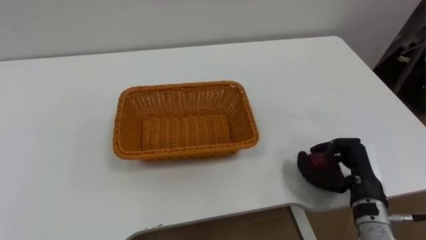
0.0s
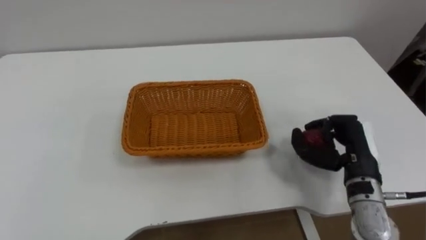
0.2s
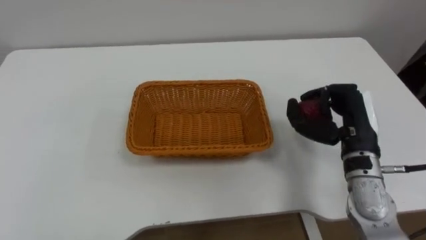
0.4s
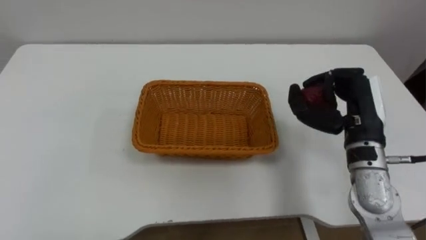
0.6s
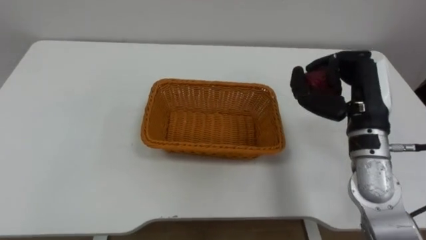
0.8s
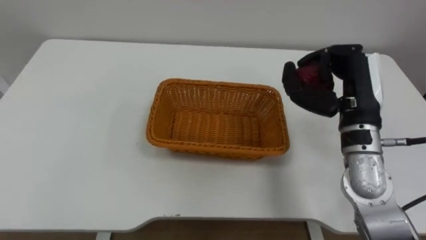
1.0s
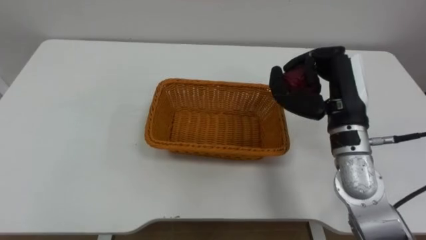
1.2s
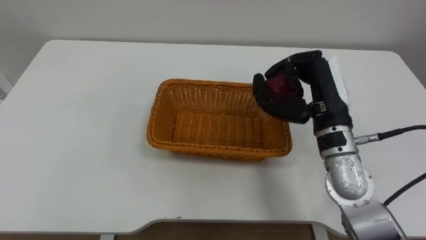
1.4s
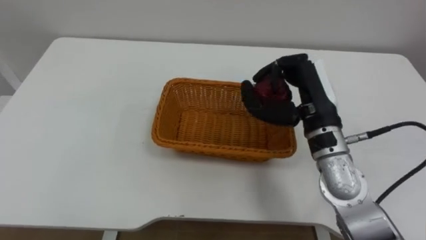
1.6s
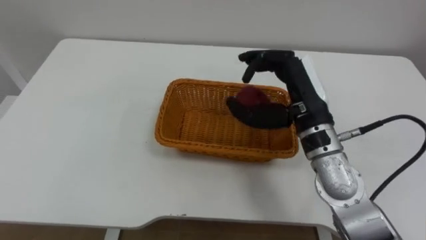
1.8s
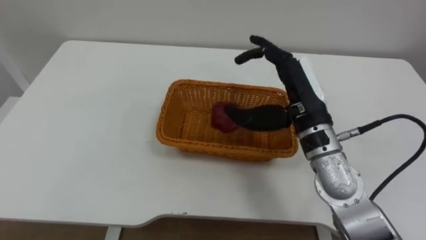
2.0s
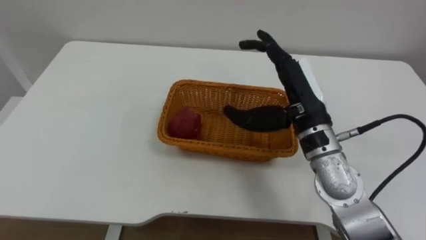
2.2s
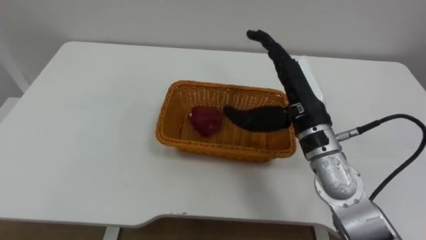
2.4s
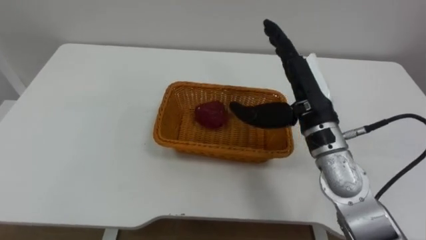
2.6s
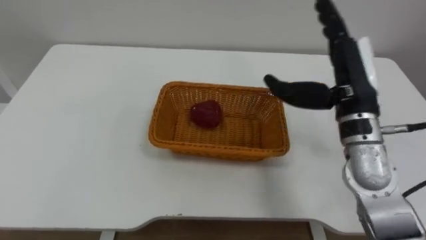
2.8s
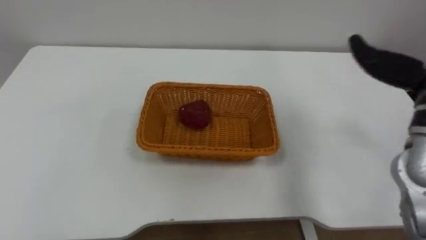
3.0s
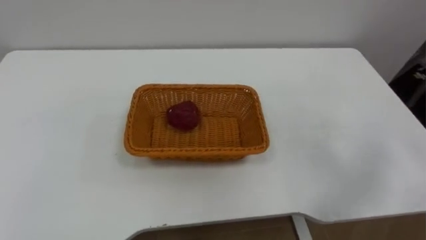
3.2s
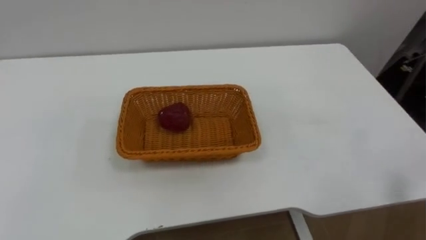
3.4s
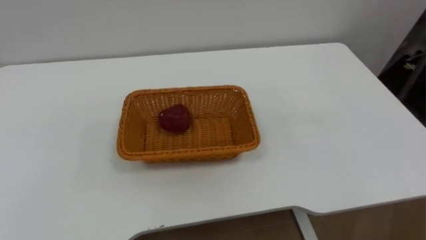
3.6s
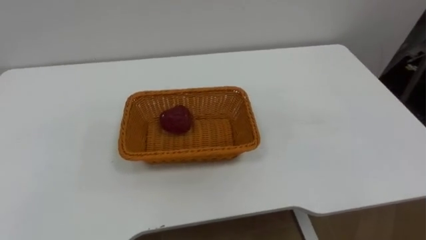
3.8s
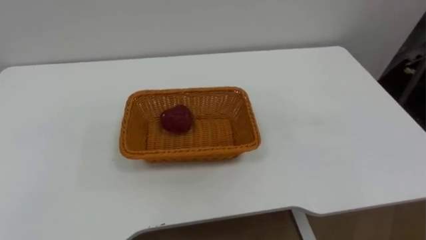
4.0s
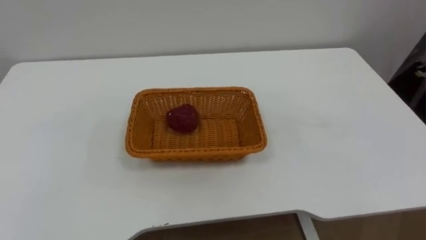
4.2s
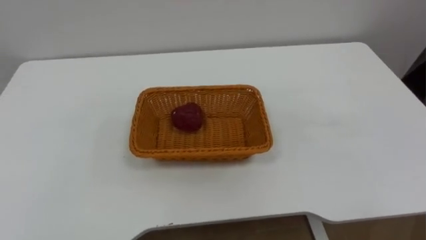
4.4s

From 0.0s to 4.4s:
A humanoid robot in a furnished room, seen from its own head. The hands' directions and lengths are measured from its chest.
Task of the whole recording: Pick the apple and place it in the box.
From 0.0s to 1.4s: The right hand travels upward, to the left and forward by roughly 20 cm.

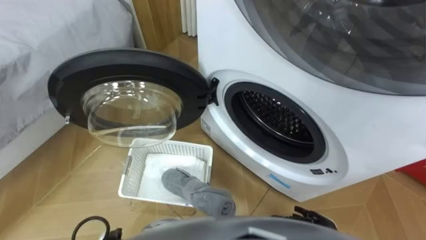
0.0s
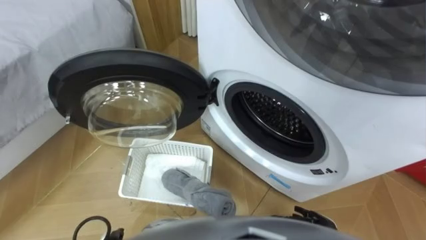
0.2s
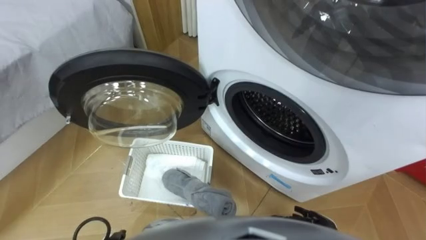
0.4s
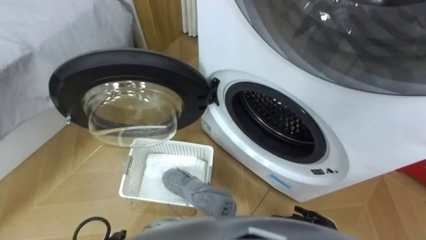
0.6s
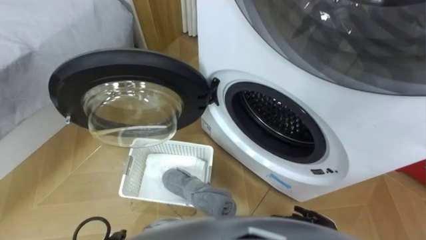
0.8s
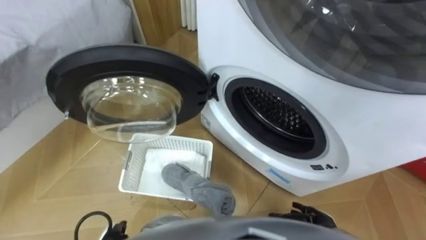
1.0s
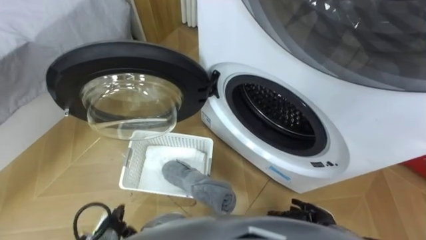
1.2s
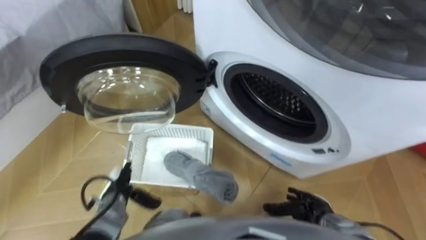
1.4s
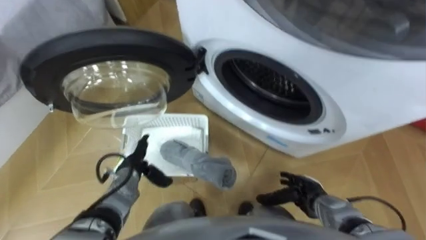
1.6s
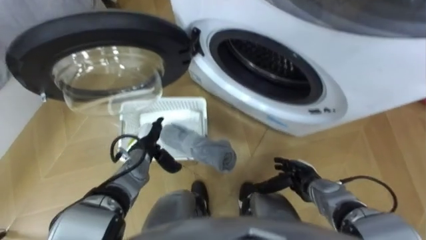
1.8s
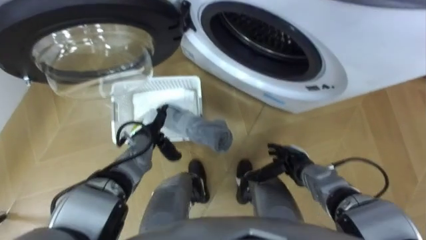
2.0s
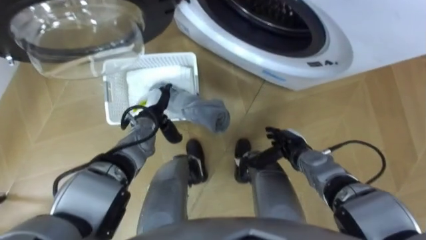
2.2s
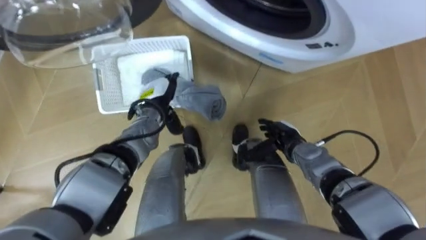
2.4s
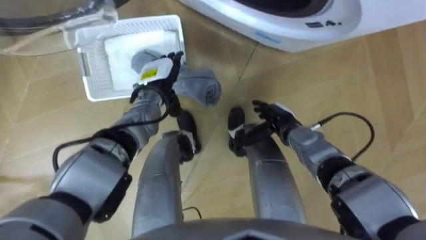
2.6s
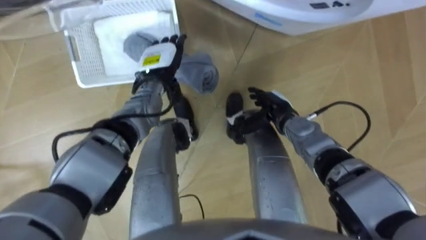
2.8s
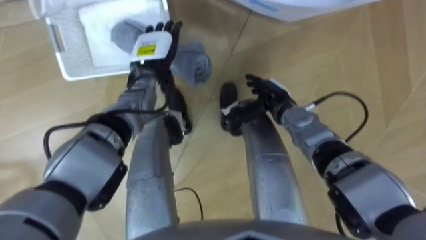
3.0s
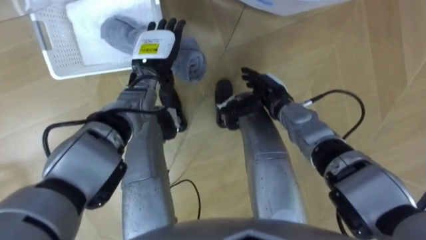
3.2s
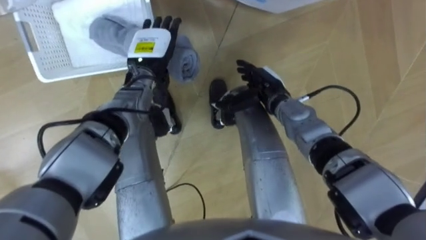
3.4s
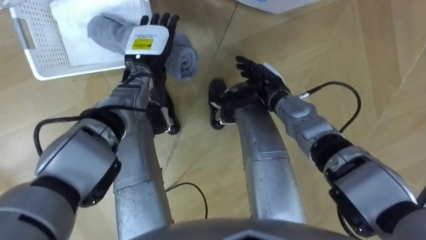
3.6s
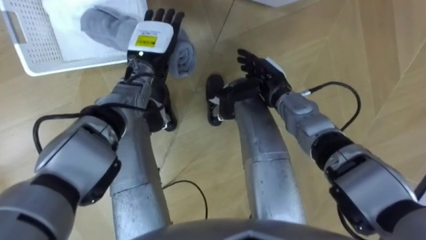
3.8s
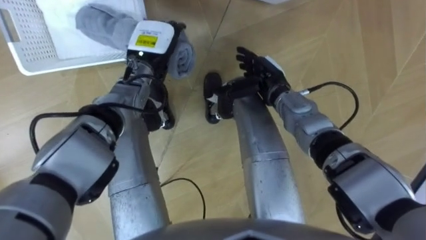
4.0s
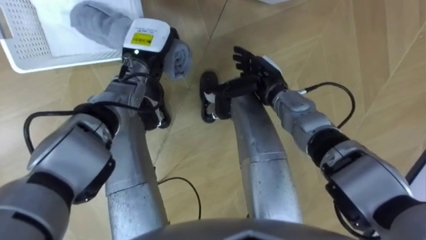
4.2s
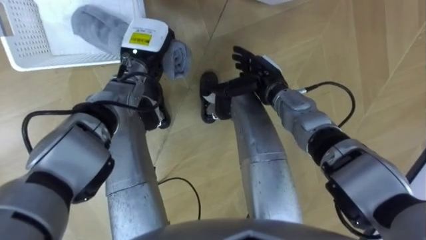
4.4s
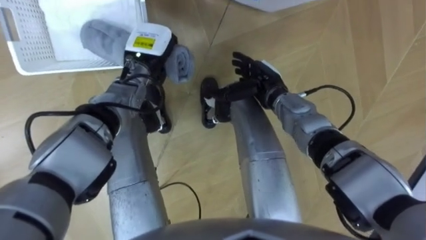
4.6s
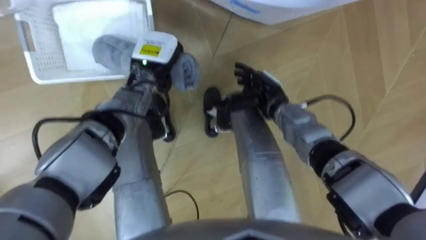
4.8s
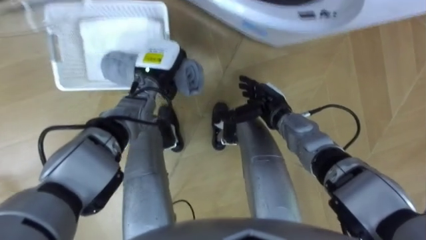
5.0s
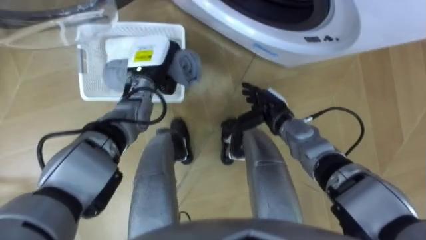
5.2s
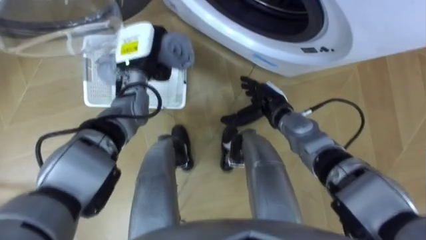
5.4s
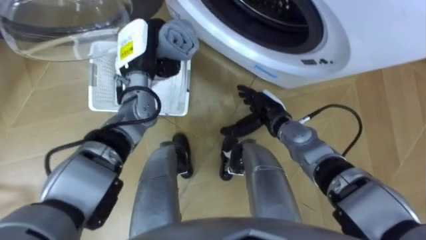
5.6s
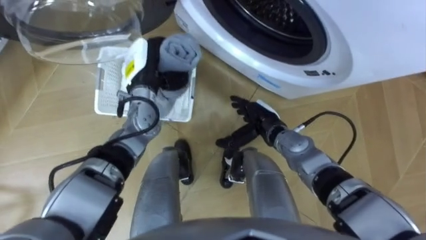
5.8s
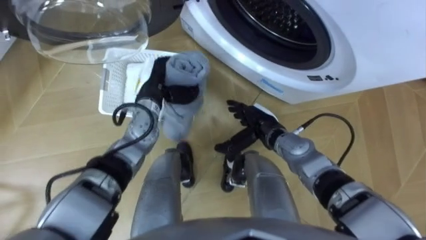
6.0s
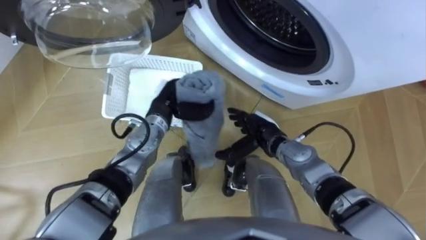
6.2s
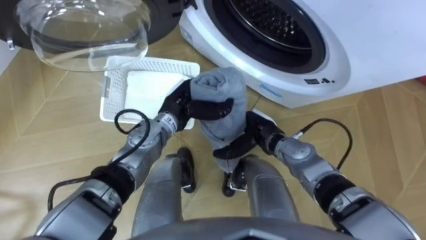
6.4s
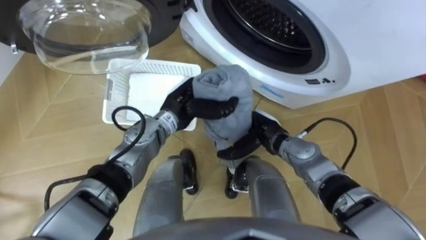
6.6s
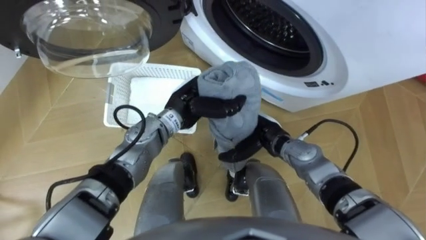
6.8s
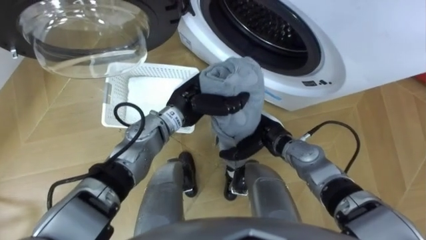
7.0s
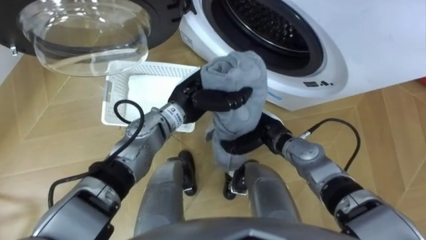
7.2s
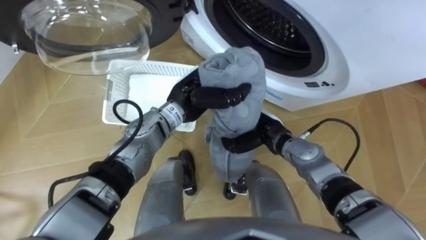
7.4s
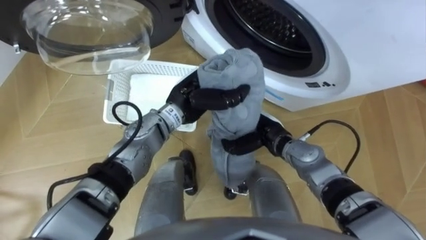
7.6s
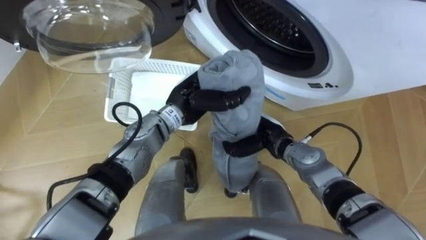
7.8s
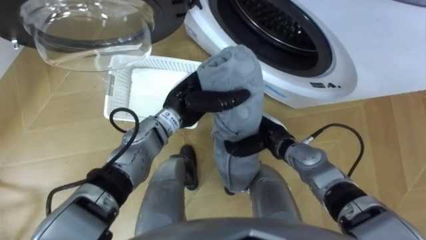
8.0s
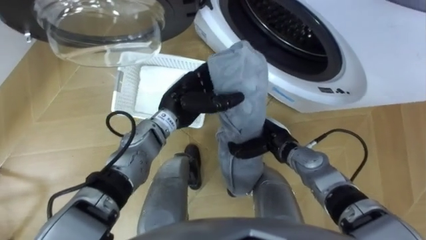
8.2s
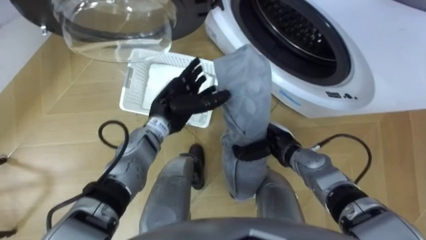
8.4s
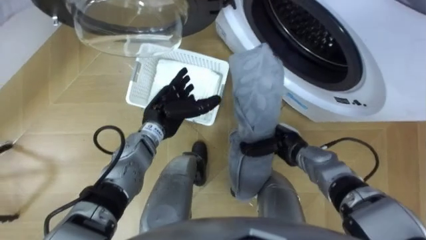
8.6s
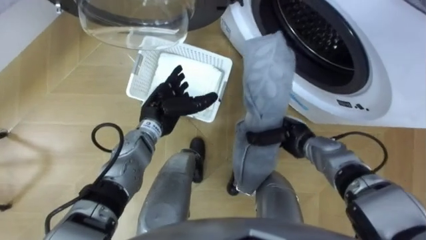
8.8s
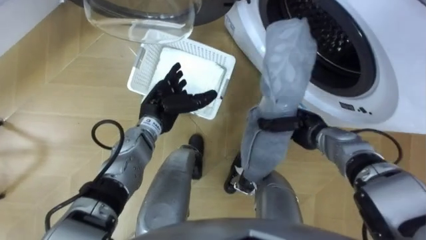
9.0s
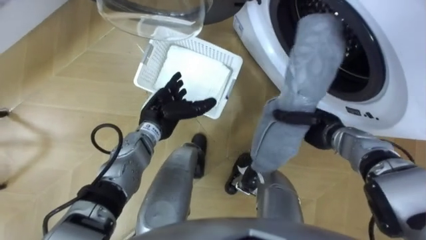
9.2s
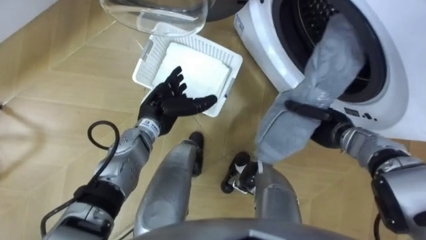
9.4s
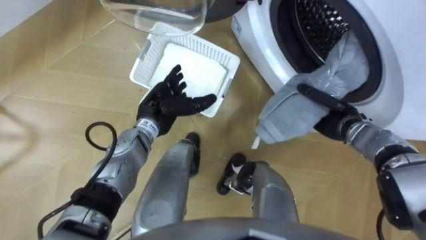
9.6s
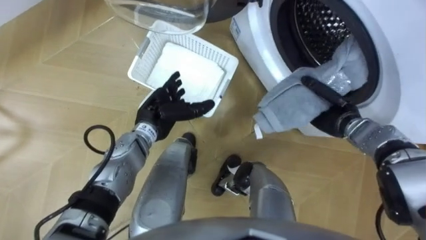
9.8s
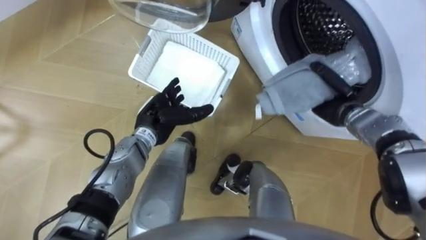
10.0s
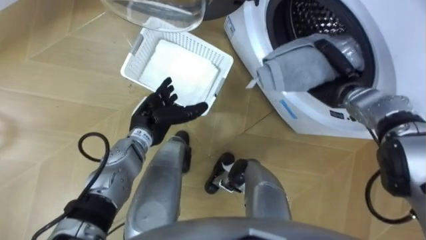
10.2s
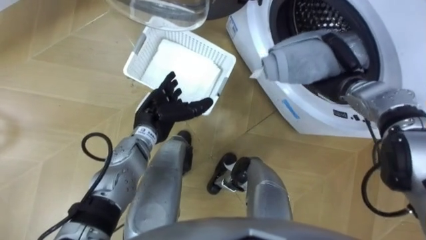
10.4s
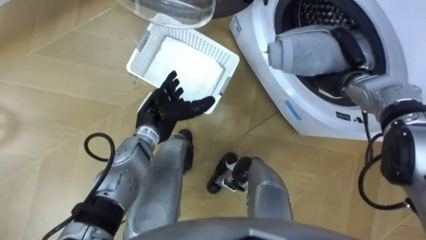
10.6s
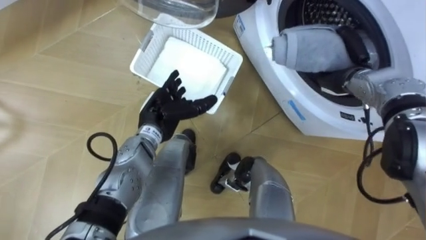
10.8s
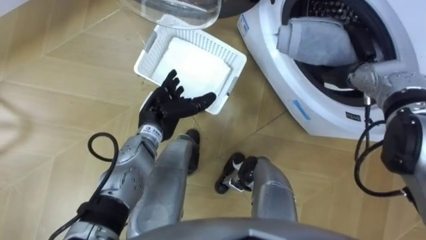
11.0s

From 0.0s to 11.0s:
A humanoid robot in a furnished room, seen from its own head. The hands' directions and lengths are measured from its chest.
Task of the whole recording: Take the towel from the basket and put it into the washing machine.
From 1.6s to 3.2s: The left hand is displaced forward and upward by some 25 cm. The right hand shifts roughly 25 cm forward, upward and to the left.
From 3.2s to 4.8s: The left hand closes up.
From 4.8s to 6.2s: The right hand heads backward, covering about 5 cm; the left hand goes some 10 cm backward and downward.
From 6.2s to 7.8s: The left hand is displaced to the right and upward by some 10 cm; the right hand closes up.
From 7.8s to 9.4s: The left hand goes about 10 cm to the left, and opens. The right hand moves to the right, about 15 cm.
From 9.4s to 11.0s: The right hand shifts about 10 cm forward and upward.

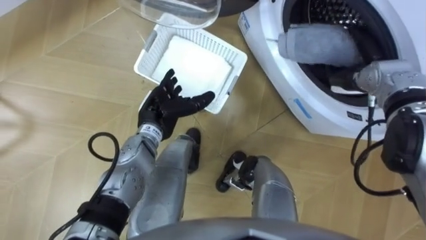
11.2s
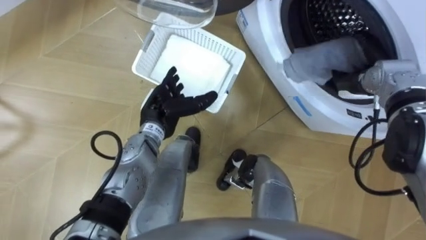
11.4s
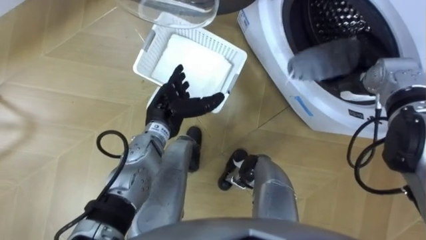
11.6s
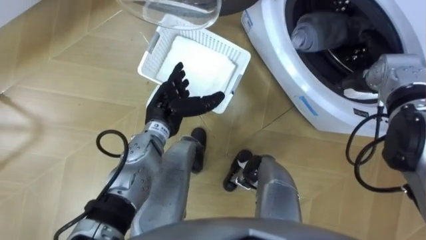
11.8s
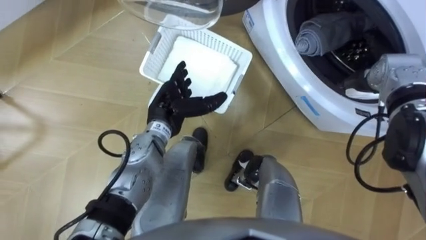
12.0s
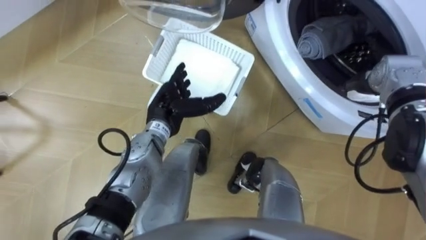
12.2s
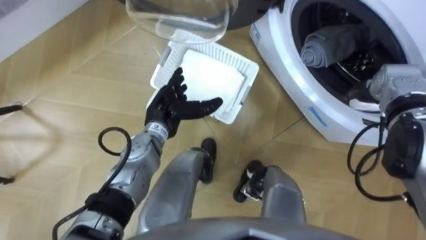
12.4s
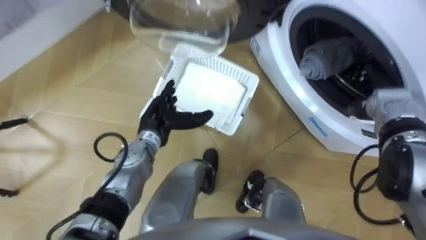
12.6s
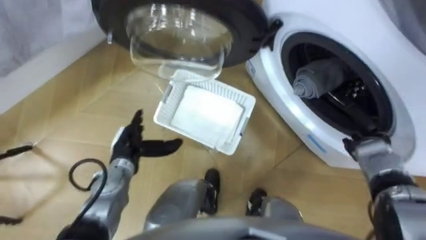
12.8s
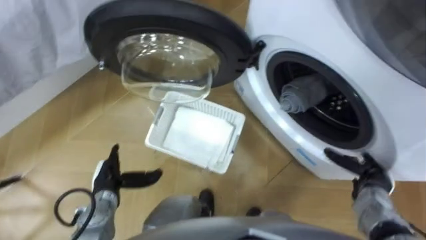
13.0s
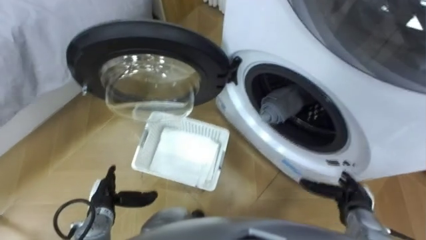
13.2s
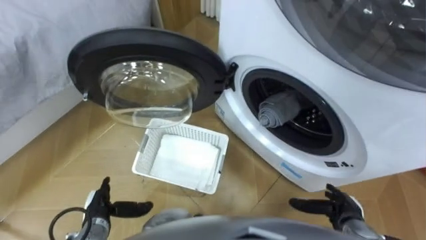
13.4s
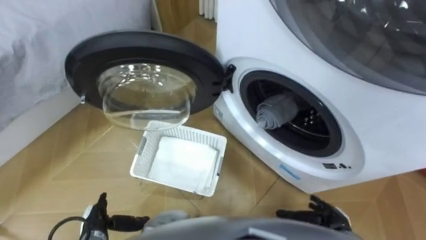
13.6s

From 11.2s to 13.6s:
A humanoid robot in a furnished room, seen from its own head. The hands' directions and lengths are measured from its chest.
Task of the whole recording: Take the towel from the basket and put it into the washing machine.
From 12.4s to 13.6s: The right hand is displaced backward and downward by roughly 30 cm, while the left hand travels backward, to the left and downward by approximately 30 cm.
